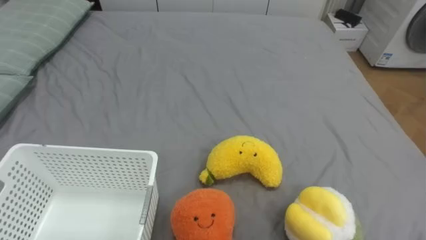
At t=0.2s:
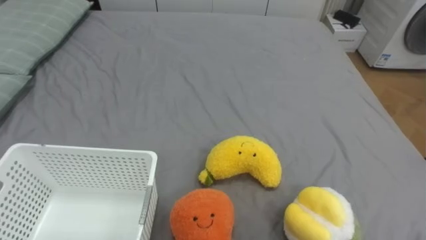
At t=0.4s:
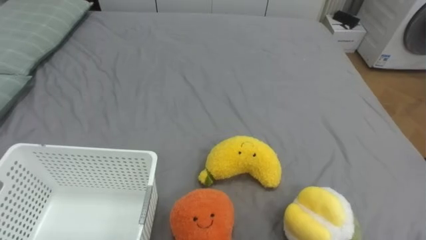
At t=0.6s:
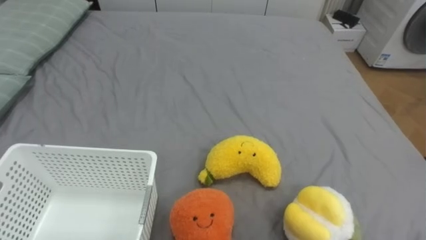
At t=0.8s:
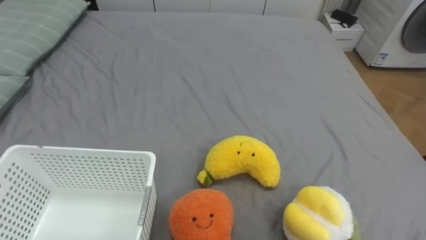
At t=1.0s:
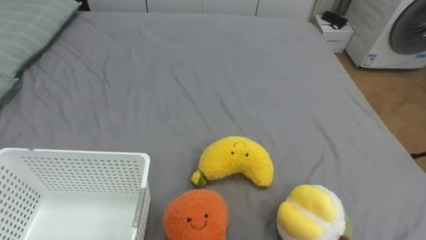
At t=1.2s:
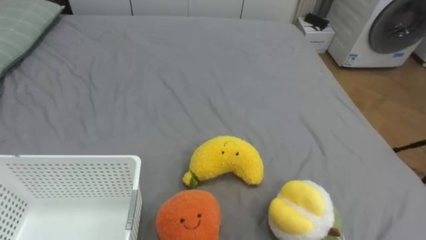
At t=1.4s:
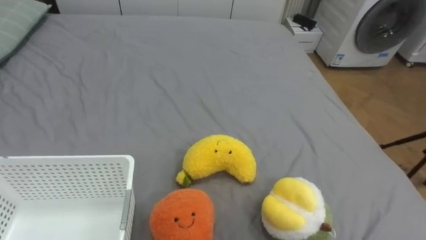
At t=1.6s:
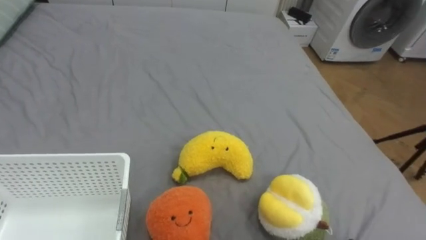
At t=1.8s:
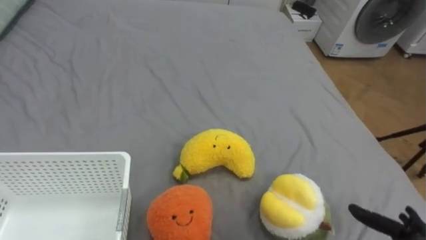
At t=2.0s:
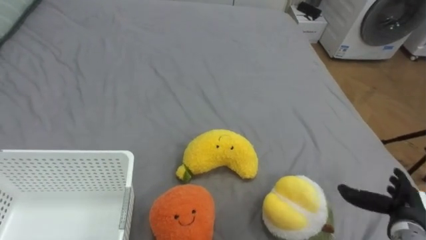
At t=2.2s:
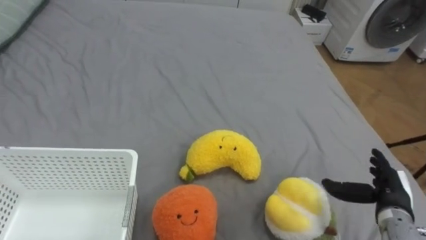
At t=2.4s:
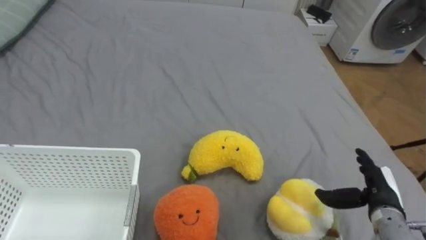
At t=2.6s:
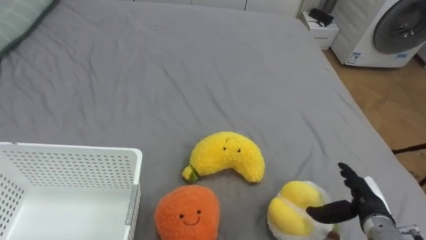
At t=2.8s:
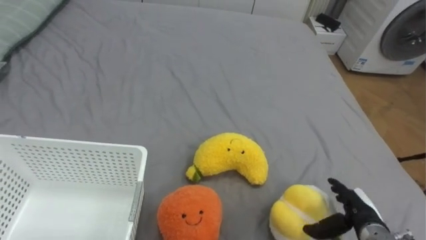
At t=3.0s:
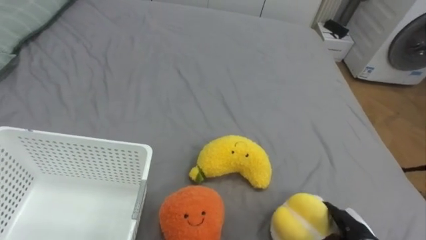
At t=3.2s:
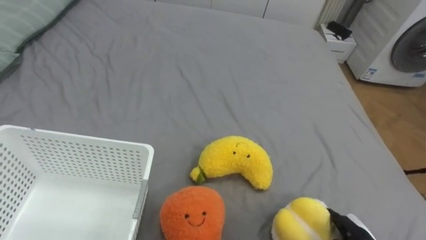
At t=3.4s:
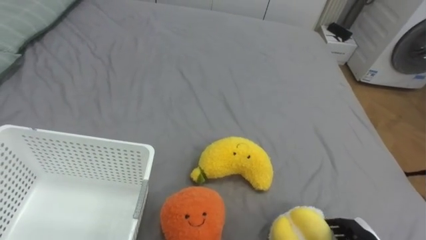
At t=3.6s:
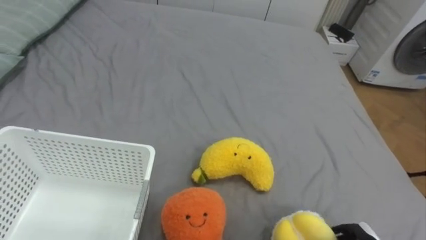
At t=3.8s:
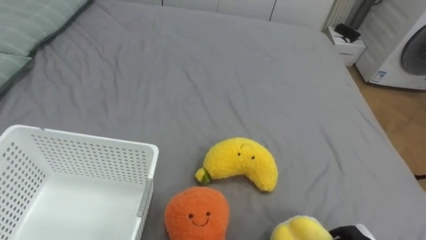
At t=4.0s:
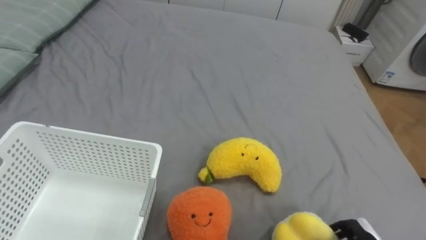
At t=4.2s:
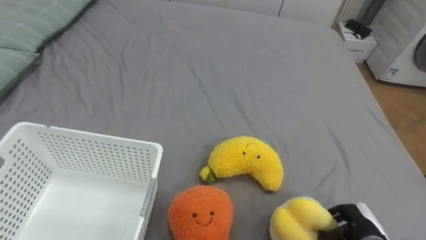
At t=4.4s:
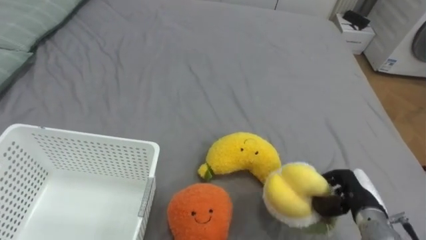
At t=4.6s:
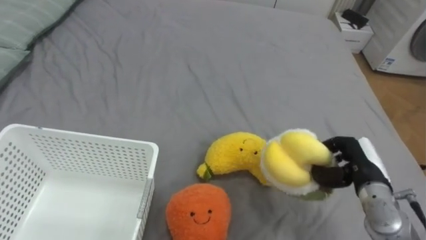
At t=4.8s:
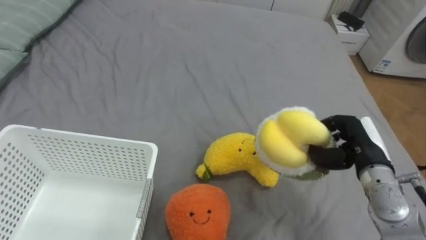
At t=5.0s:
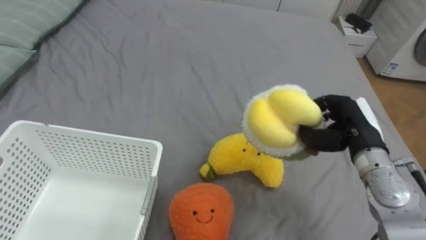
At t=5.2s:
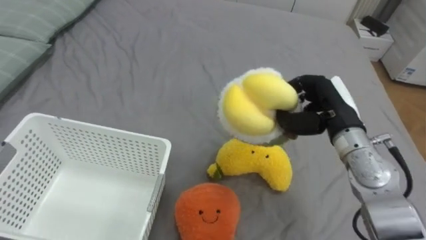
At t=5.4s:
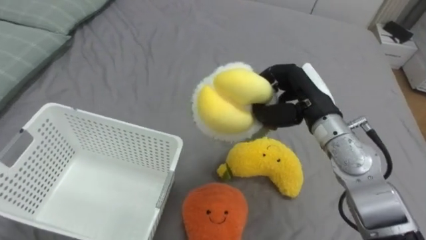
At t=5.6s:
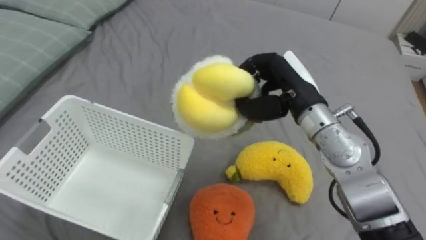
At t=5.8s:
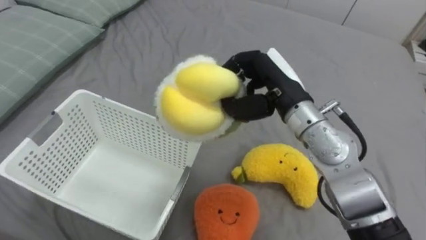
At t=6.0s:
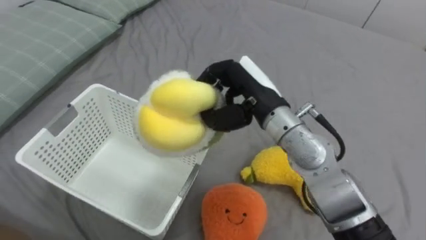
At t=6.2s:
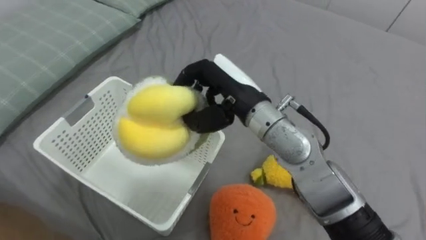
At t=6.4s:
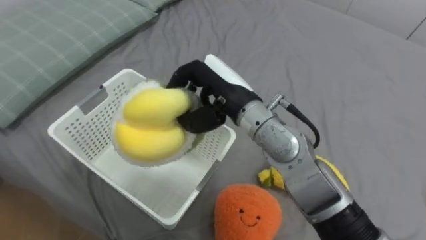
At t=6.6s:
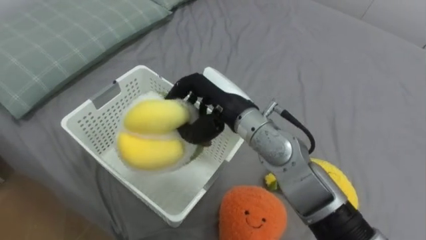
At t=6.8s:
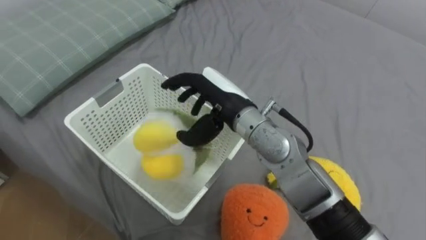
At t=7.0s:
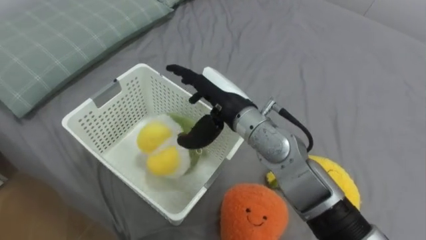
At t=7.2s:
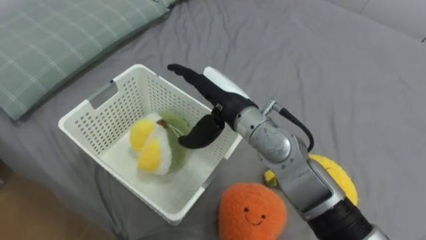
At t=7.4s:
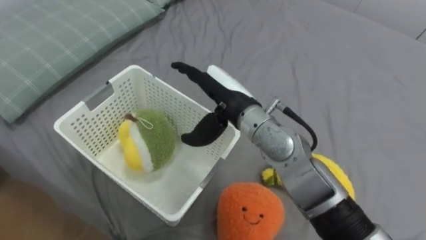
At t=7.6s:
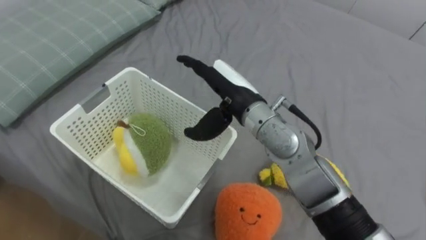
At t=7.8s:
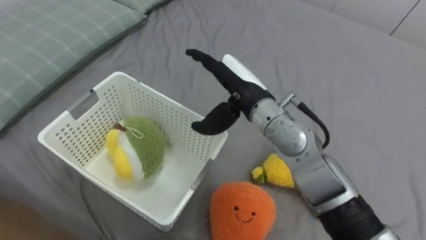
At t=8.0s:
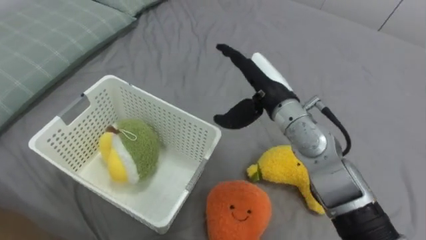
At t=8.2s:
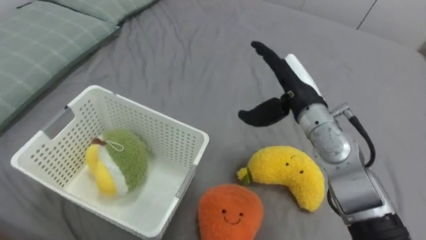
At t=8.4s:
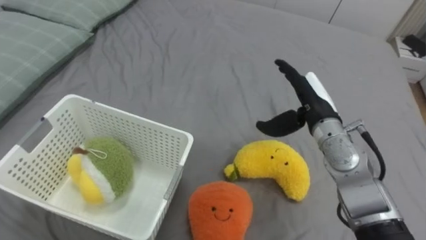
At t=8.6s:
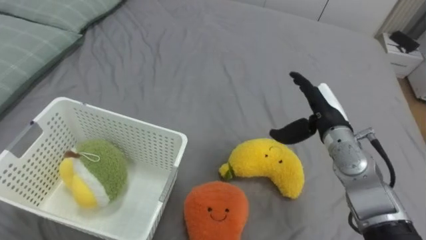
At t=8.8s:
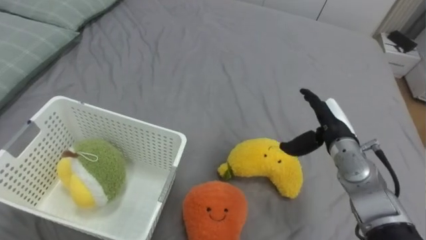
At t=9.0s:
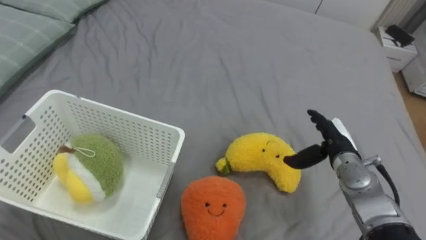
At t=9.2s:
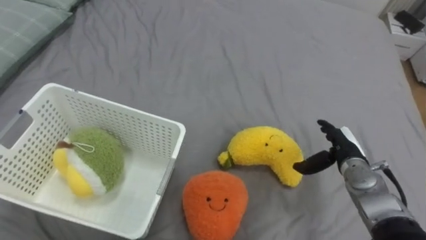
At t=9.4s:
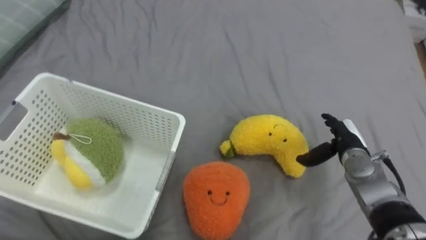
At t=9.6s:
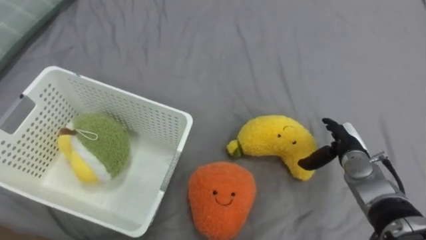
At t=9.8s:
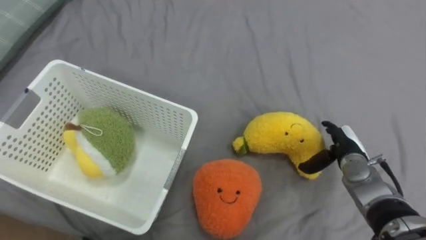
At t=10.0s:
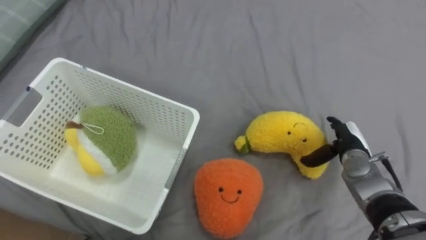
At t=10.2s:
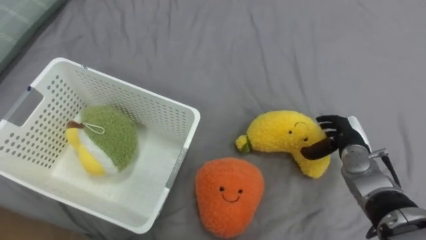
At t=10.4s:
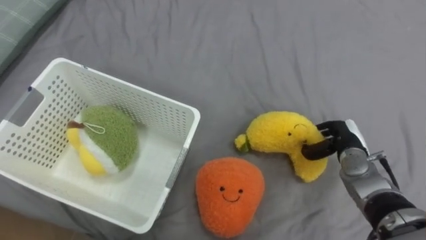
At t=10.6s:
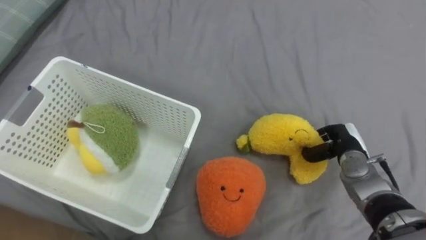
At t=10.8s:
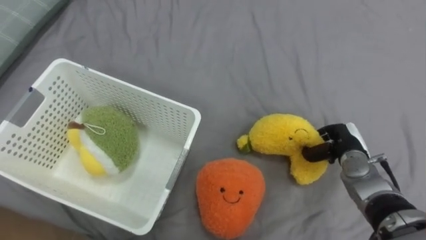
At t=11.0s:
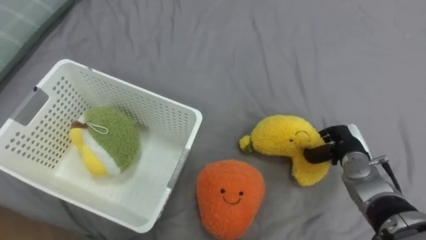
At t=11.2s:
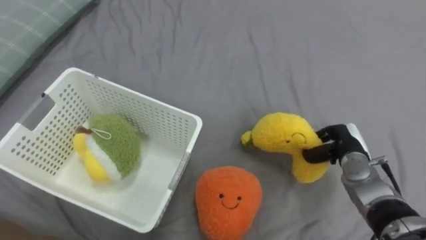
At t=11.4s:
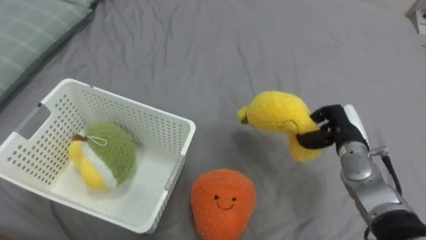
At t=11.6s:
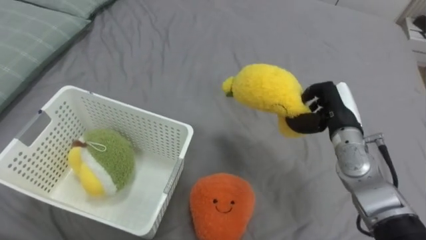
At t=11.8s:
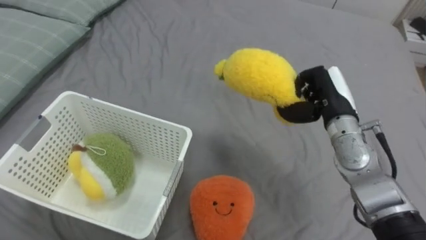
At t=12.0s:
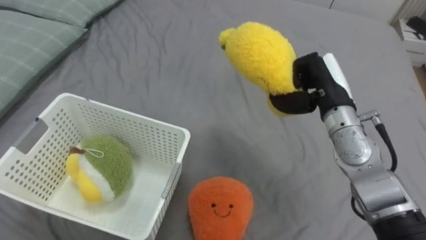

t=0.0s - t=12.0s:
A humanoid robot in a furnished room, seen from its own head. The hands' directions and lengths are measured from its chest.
Task of the whole recording: Put the toys on the bed into the basket on the left.
t=4.4s - t=6.0s: The right hand goes approximately 30 cm to the left, upward and forward.
t=6.0s - t=7.6s: The right hand opens its fingers.
t=7.6s - t=9.0s: The right hand travels to the right and downward by roughly 25 cm.
t=9.0s - t=10.4s: The right hand closes.
t=10.4s - t=12.0s: The right hand travels upward and to the left by about 15 cm, and closes its fingers.

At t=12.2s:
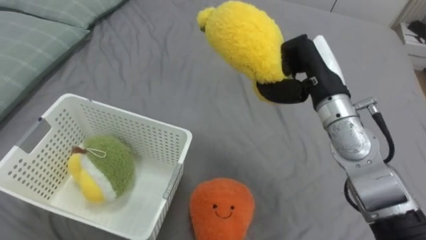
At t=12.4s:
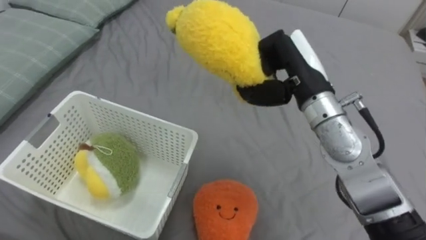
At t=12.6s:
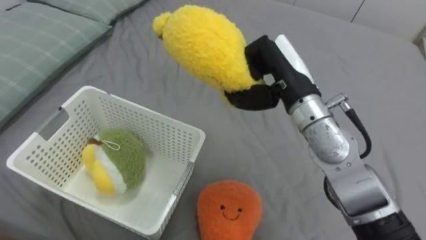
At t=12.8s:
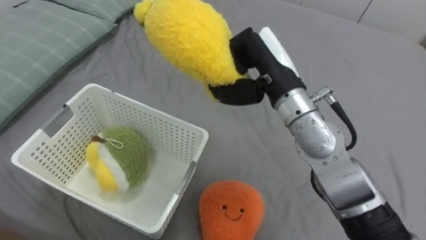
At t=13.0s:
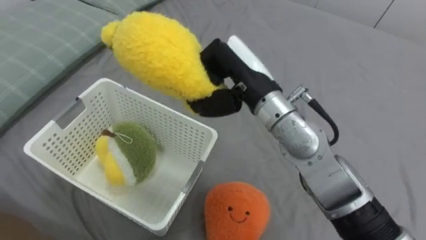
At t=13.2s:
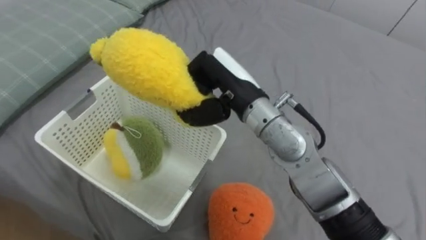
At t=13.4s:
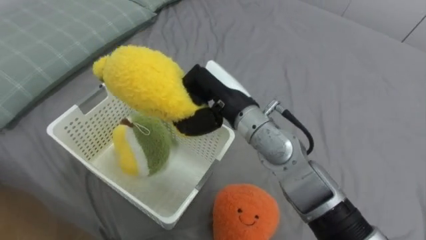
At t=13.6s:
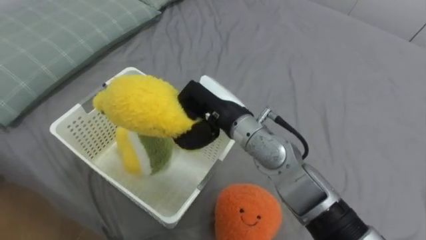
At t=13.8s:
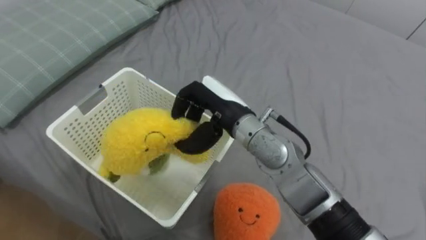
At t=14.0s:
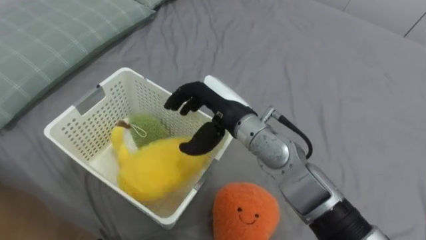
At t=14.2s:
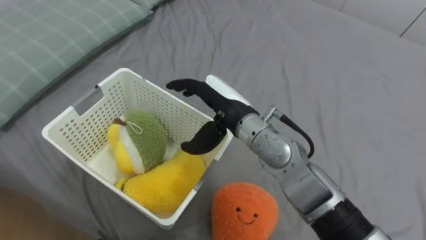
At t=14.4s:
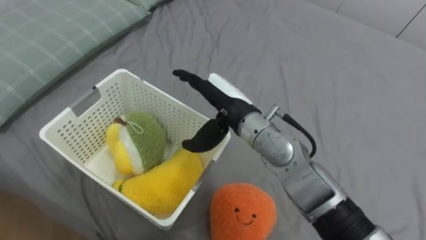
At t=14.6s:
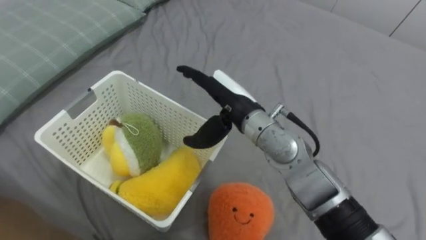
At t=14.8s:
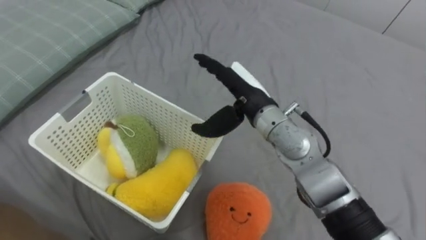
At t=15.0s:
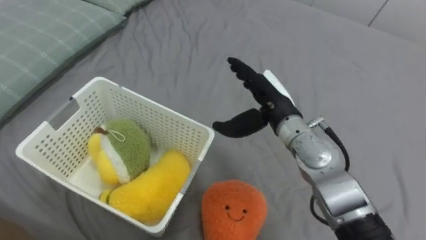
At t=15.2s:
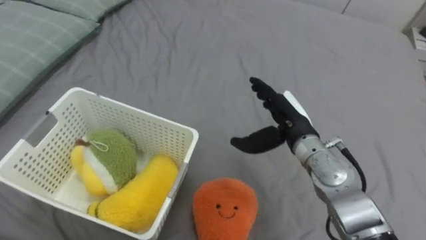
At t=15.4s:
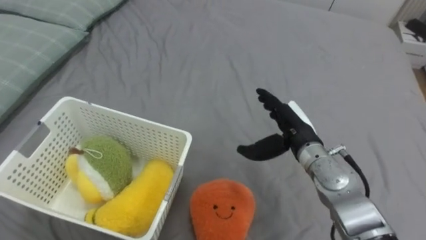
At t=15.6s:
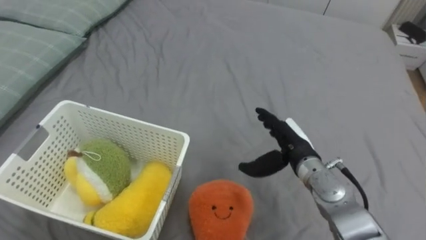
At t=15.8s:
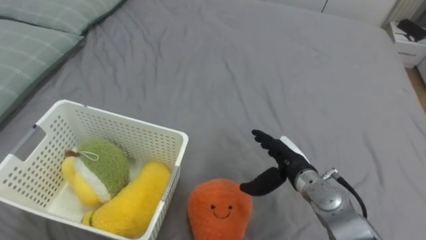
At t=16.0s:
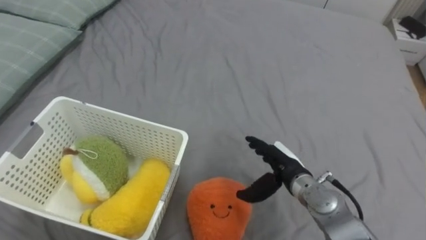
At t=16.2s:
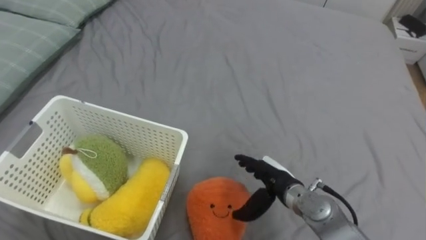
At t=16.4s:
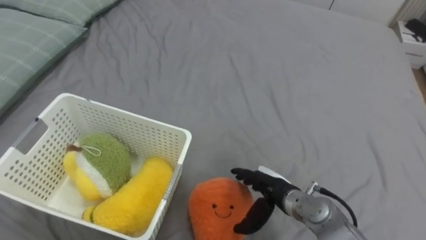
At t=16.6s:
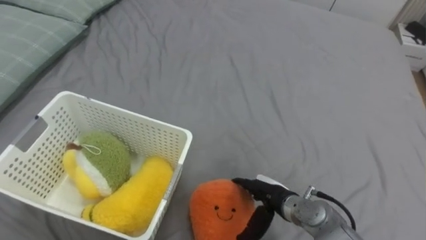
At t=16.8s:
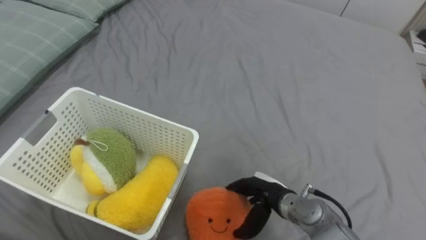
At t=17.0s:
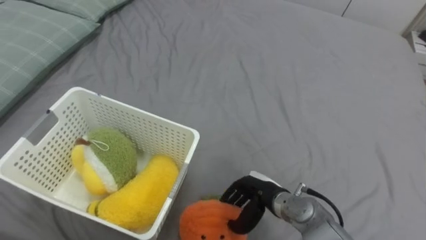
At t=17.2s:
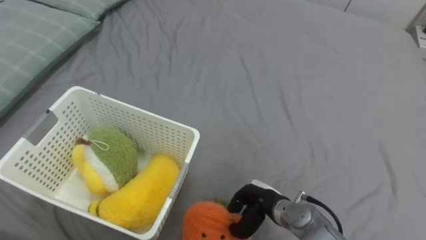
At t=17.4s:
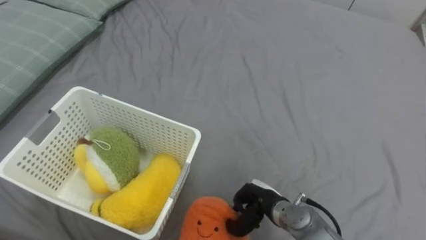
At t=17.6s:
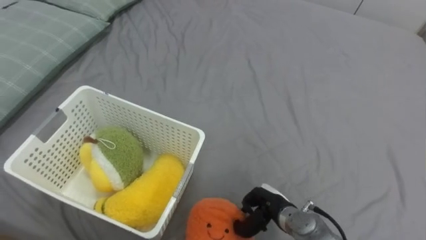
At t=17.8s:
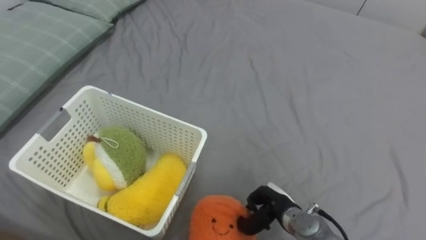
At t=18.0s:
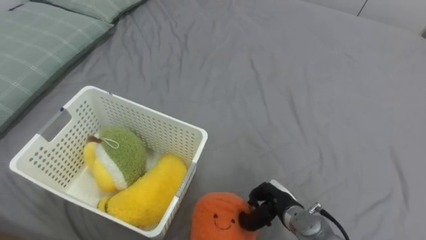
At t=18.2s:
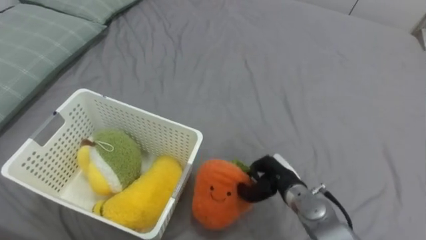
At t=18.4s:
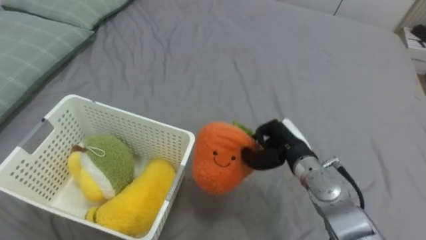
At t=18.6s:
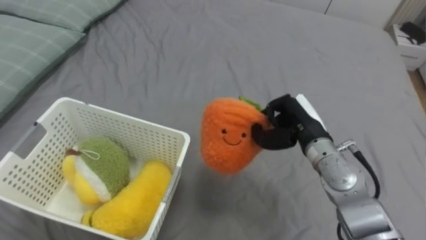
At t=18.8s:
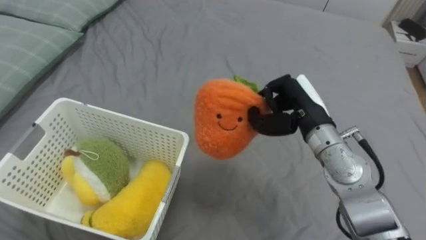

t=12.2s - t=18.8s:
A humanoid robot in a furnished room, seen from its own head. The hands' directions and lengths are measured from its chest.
Task of the whole recording: Put the toys on the bed into the basket on the left.
t=12.2s - t=13.8s: The right hand is displaced to the left by about 15 cm, and opens up.
t=13.8s - t=15.4s: The right hand heads to the right and downward, covering some 15 cm, and opens its fingers.
t=15.4s - t=17.2s: The right hand travels downward and backward by approximately 15 cm, and closes.
t=17.2s - t=18.8s: The right hand is displaced upward and forward by roughly 20 cm.
